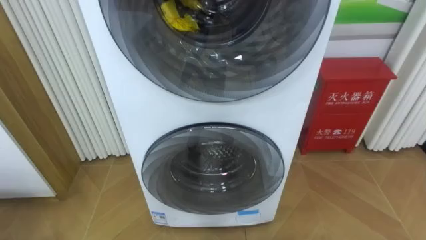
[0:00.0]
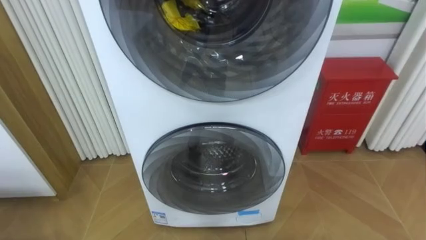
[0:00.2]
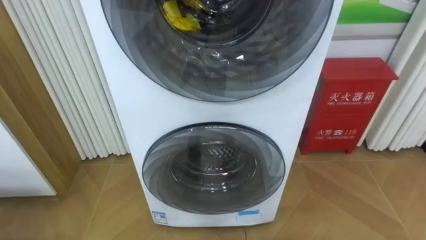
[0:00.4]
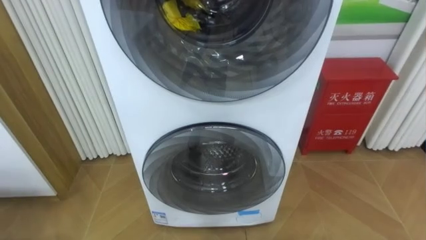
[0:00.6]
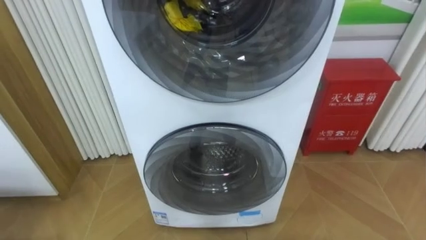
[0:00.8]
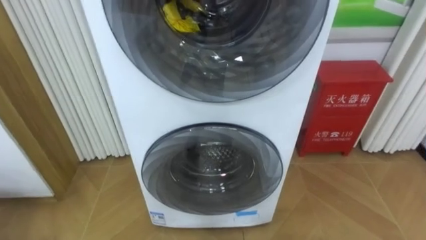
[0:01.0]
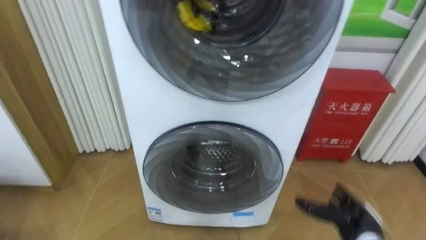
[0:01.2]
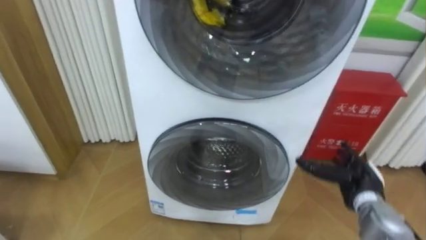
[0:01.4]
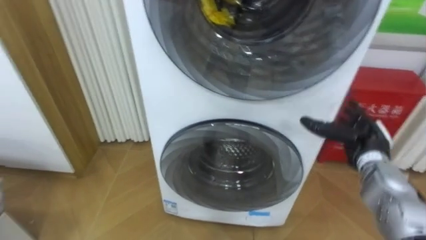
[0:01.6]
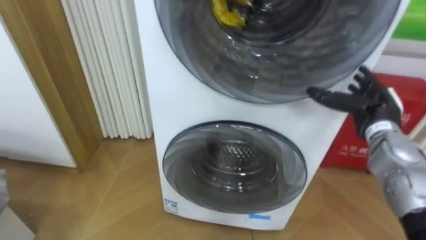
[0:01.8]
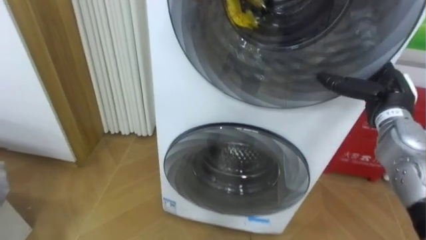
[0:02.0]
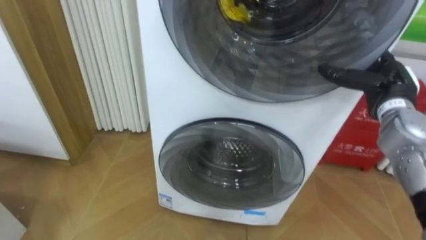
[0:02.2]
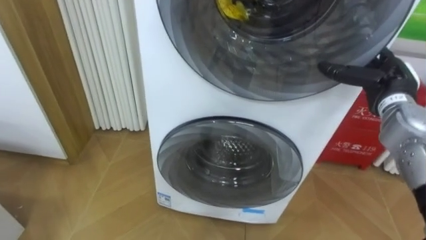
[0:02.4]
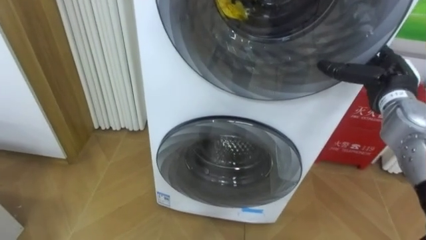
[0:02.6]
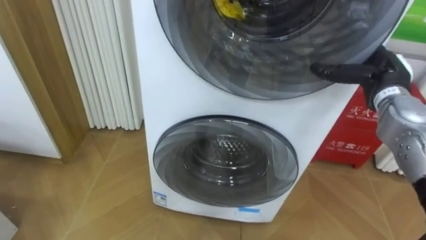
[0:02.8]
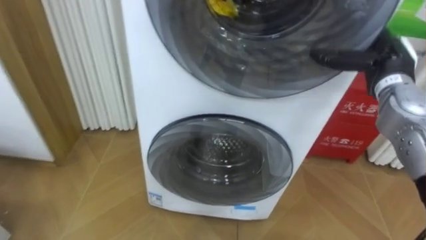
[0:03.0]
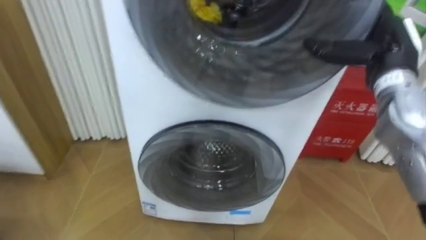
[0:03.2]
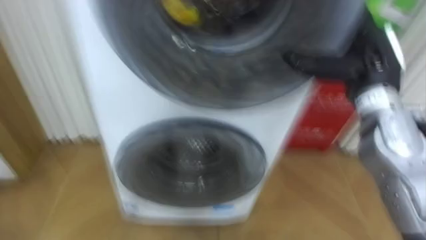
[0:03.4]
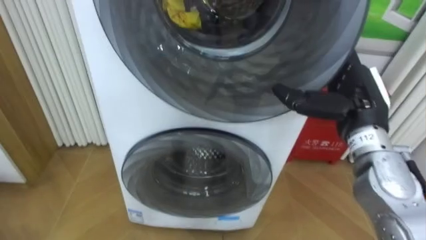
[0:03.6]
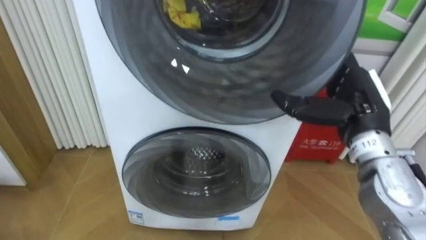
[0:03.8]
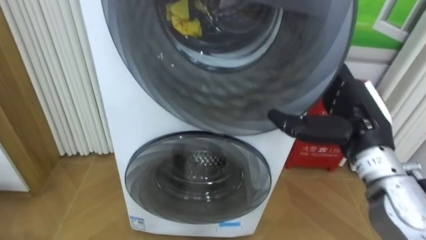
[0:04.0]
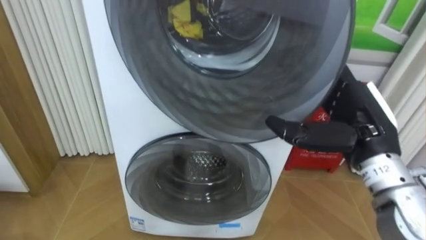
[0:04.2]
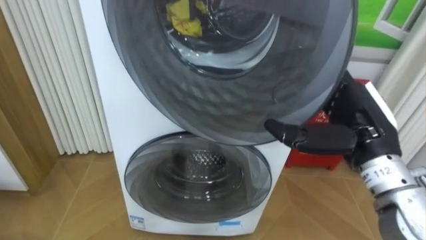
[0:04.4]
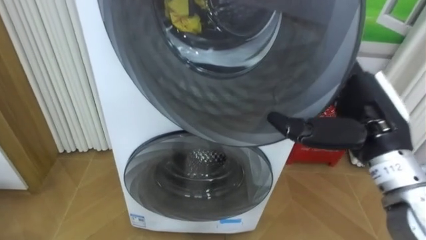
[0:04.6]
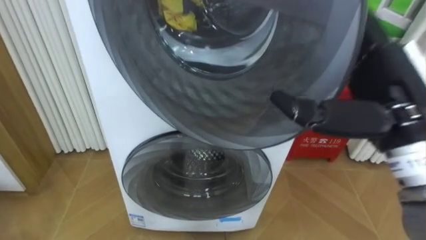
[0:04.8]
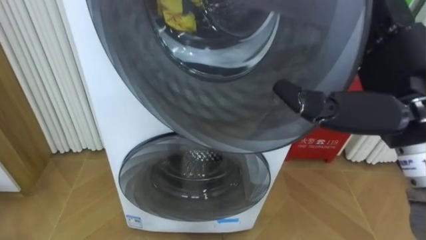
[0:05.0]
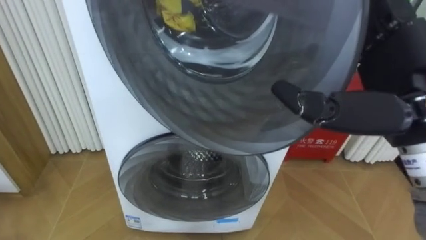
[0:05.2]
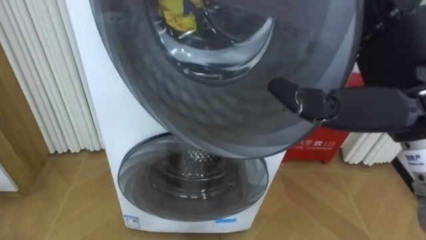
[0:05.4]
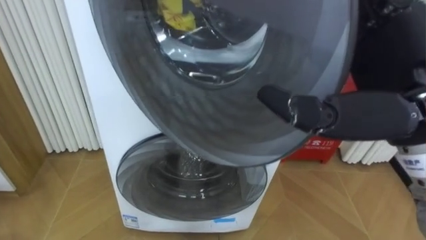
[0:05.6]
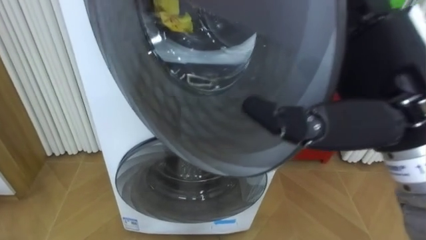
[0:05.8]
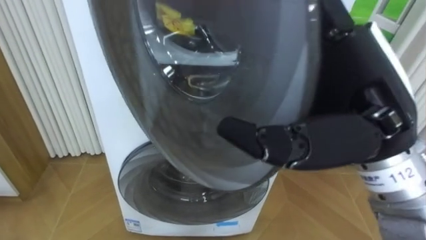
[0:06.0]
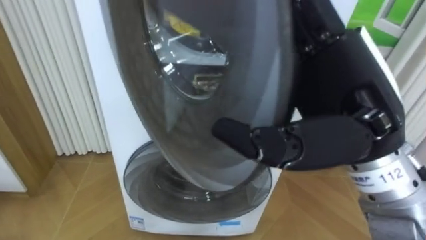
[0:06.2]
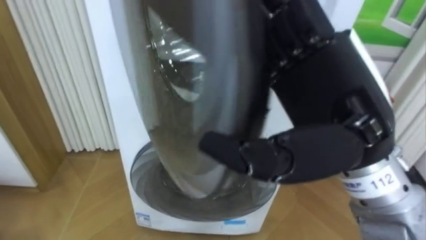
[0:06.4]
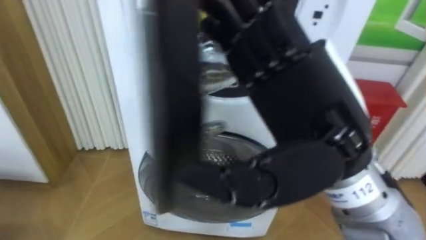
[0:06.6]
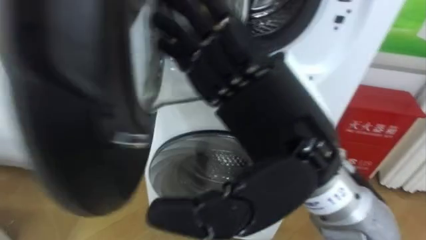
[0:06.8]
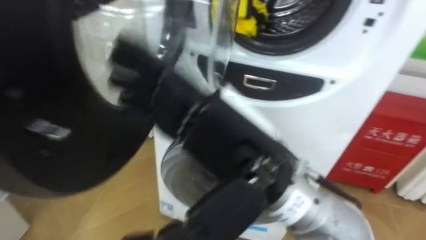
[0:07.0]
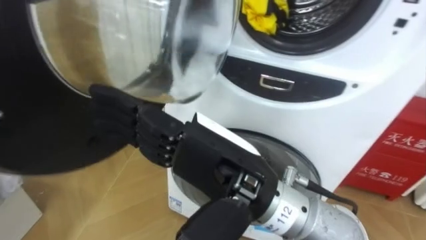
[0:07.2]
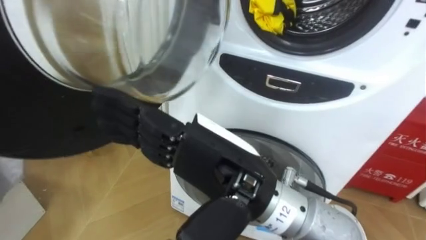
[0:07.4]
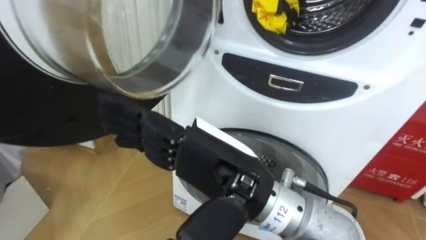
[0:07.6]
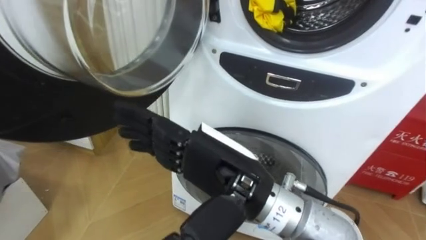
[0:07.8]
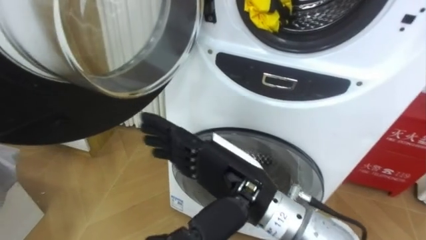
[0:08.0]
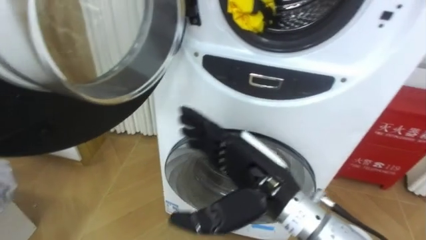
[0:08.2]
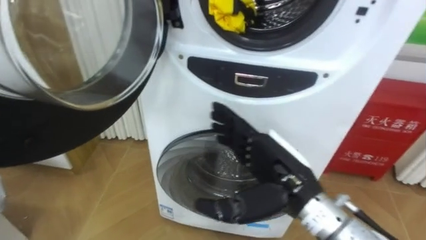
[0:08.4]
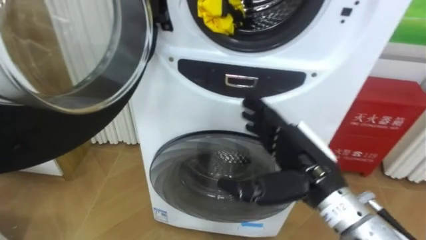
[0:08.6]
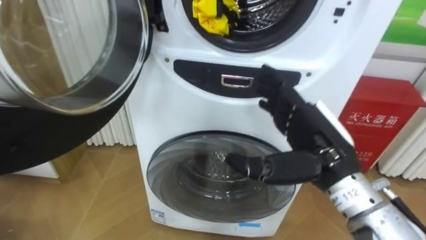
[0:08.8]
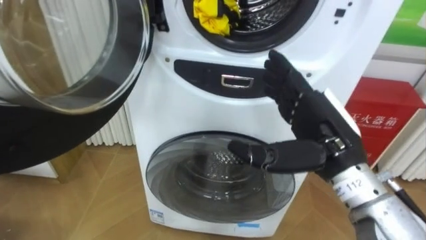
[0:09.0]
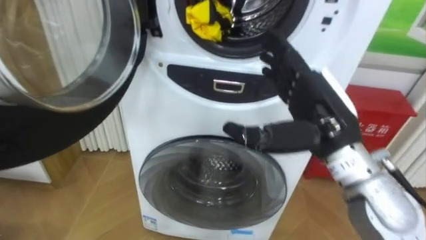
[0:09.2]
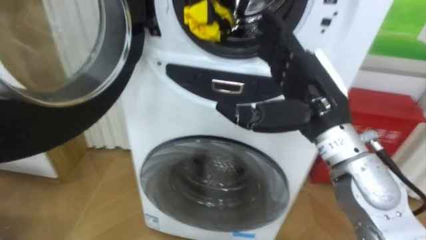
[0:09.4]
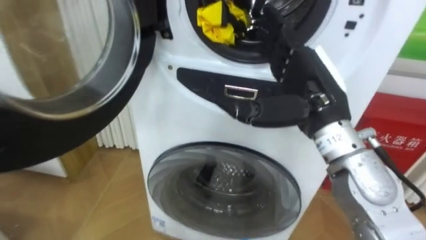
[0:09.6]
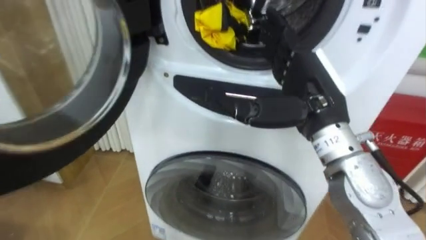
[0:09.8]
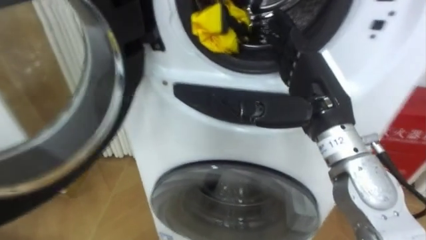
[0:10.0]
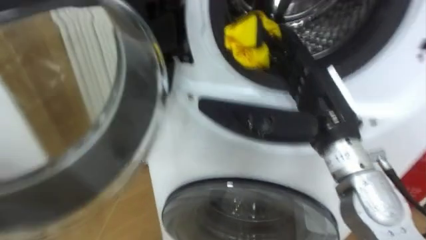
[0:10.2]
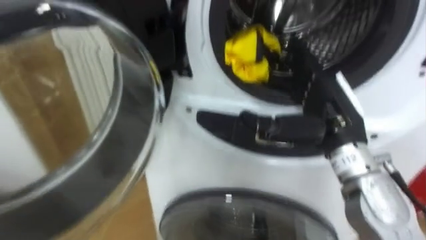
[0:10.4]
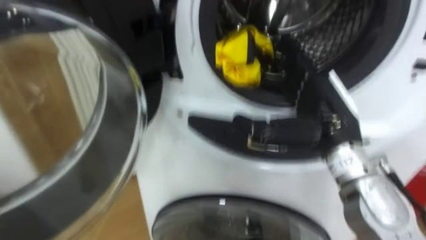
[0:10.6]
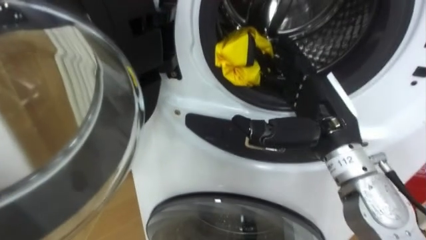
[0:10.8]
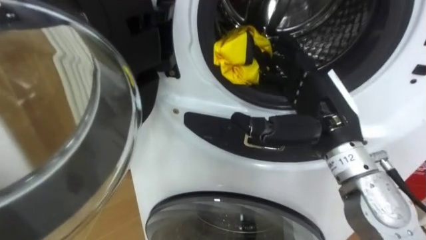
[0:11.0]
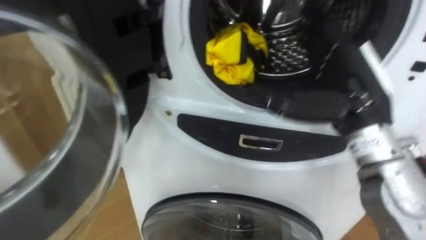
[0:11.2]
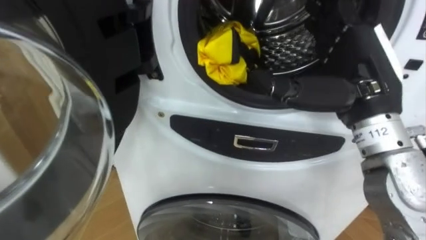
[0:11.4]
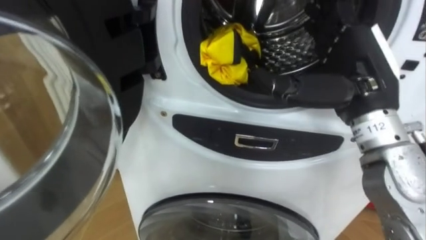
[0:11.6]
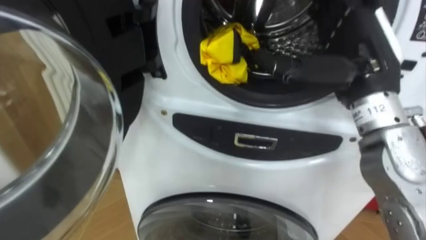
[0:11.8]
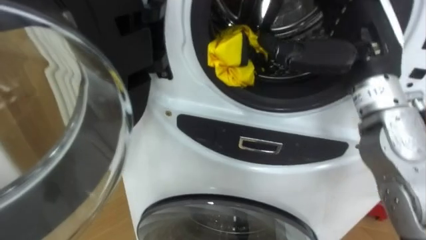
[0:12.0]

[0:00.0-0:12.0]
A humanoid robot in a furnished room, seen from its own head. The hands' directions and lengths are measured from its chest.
Task of the whole recording: Open the washing machine door, take out the yellow clothes, place them in the box on the right, and close the washing machine door.
0:01.6 to 0:03.0: The right hand heads upward, covering about 15 cm.
0:03.0 to 0:04.4: The right hand moves backward and to the left, approximately 15 cm.
0:04.4 to 0:06.0: The right hand moves upward, to the left and backward, about 15 cm.
0:06.0 to 0:07.6: The right hand moves to the left and downward, roughly 15 cm.
0:07.6 to 0:09.0: The right hand heads to the right and forward, covering some 15 cm.
0:10.4 to 0:12.0: The right hand shifts about 10 cm upward.

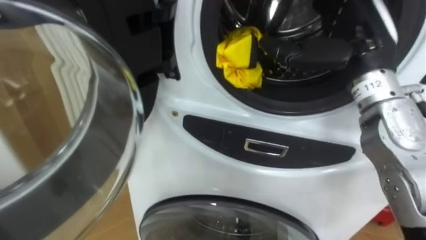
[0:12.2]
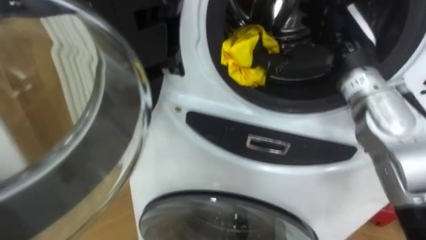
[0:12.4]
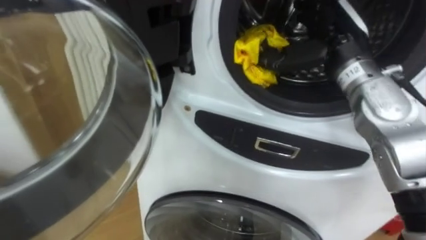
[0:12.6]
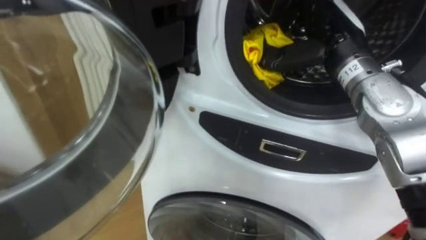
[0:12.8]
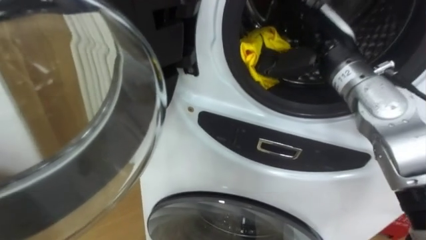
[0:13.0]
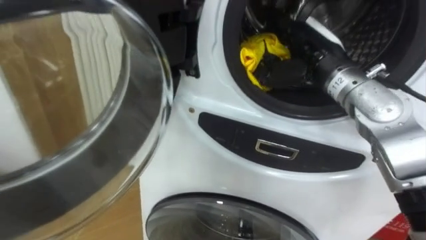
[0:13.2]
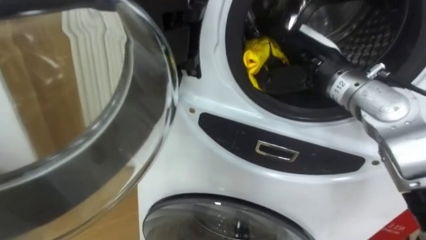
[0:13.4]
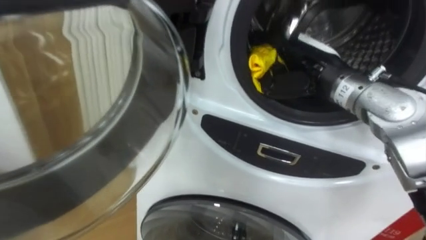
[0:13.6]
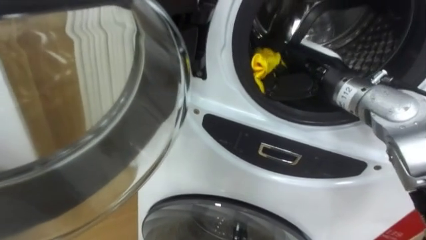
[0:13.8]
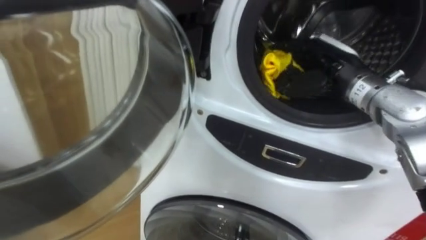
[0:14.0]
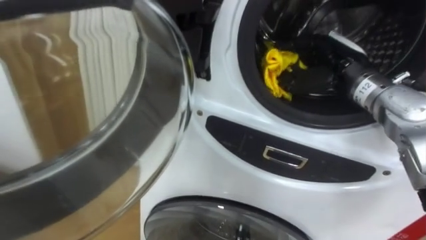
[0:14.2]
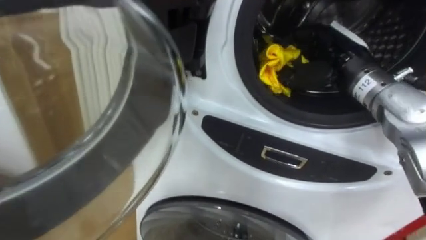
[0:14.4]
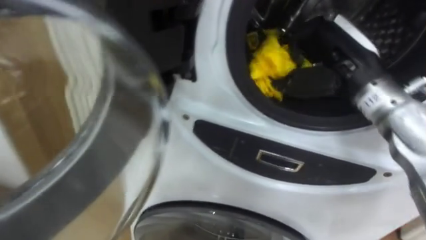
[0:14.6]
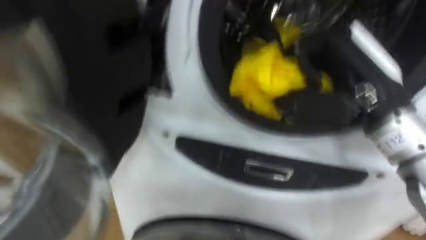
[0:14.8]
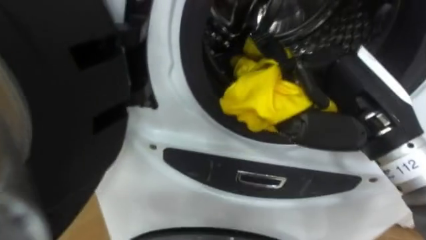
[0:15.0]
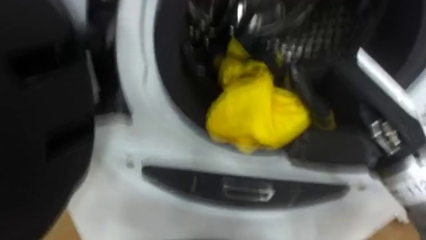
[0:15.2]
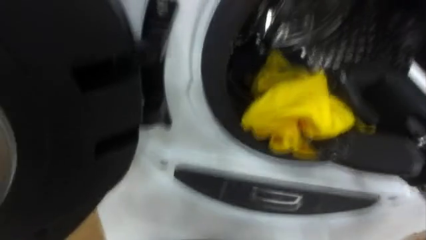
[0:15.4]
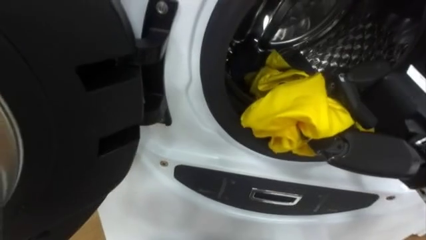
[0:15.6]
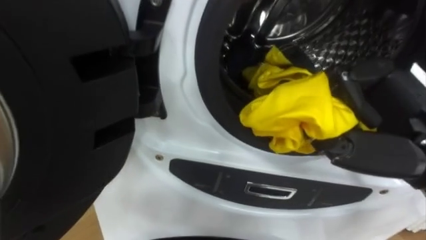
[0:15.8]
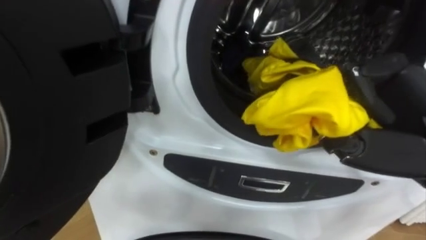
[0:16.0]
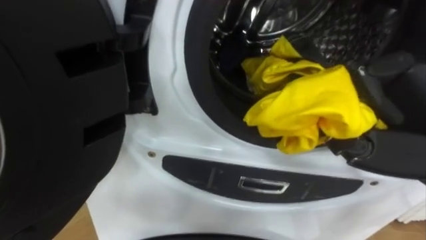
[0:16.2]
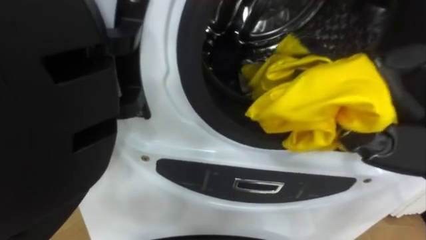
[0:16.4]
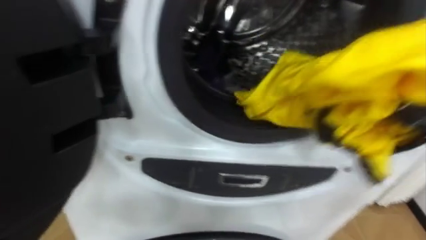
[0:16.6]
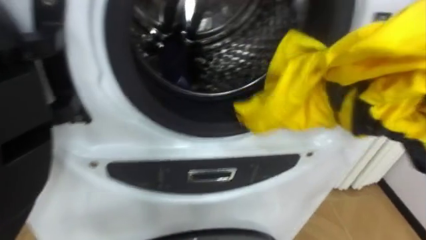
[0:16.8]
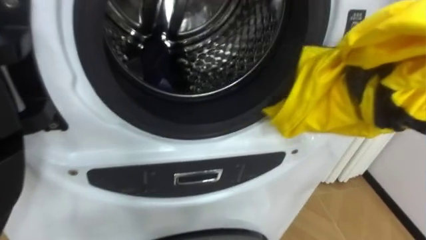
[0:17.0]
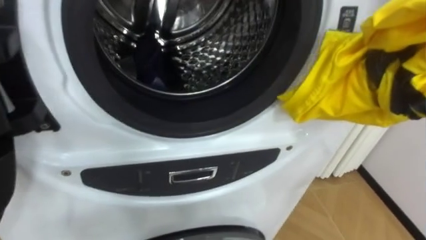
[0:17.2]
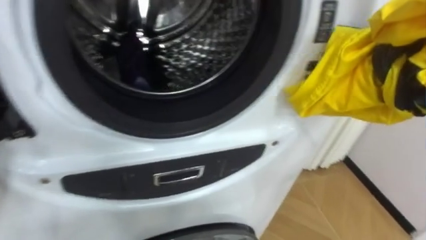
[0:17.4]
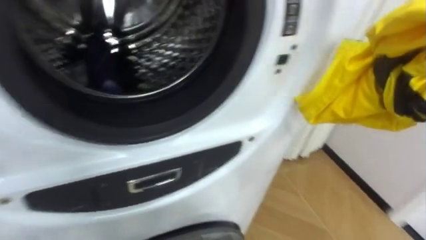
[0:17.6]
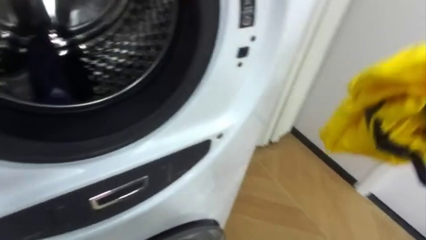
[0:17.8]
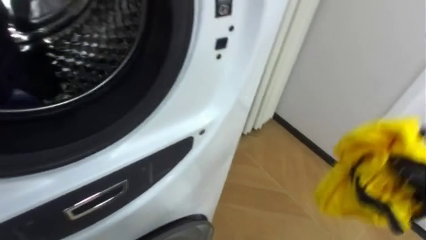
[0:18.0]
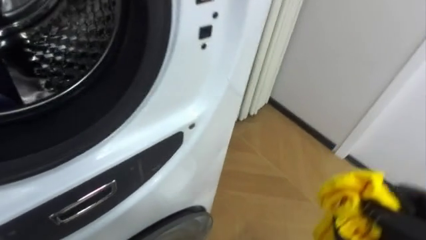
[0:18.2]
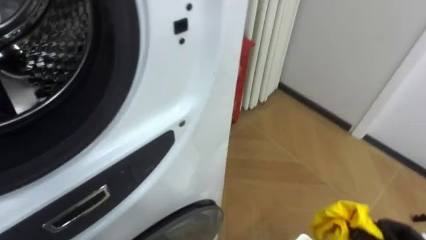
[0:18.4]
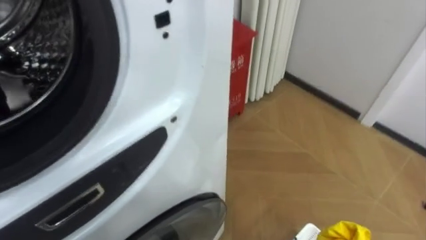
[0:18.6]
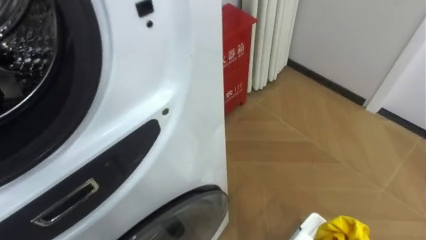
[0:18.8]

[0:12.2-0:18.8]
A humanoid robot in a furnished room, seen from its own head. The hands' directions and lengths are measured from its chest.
Task of the whole recording: Open the washing machine door, take out the yellow clothes, place them in the box on the right, and close the washing machine door.
0:12.2 to 0:13.8: The right hand shifts approximately 5 cm downward.
0:13.8 to 0:15.4: The right hand shifts about 15 cm backward, and closes.
0:17.2 to 0:18.8: The robot's body swings approximately 20 degrees to its right.
